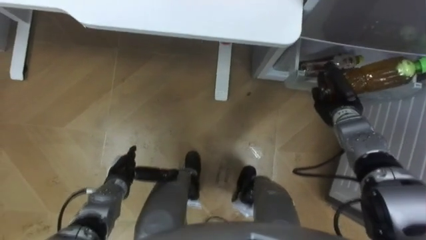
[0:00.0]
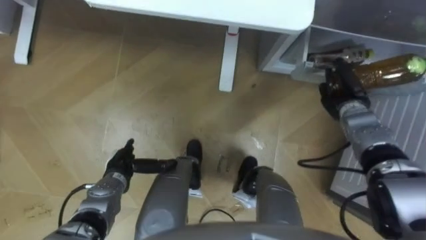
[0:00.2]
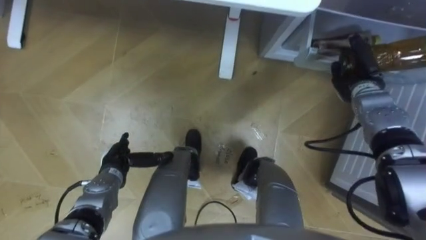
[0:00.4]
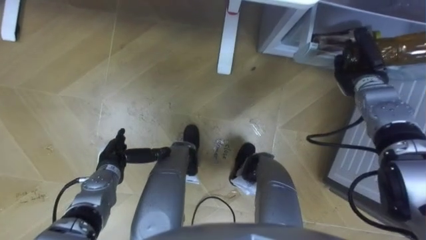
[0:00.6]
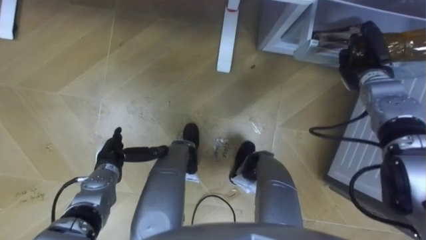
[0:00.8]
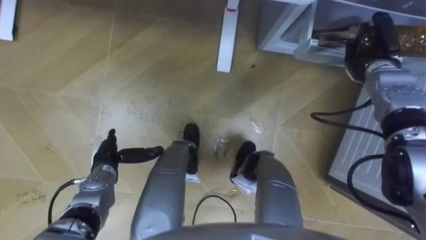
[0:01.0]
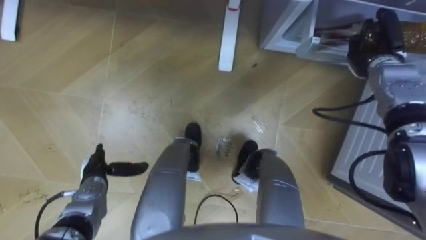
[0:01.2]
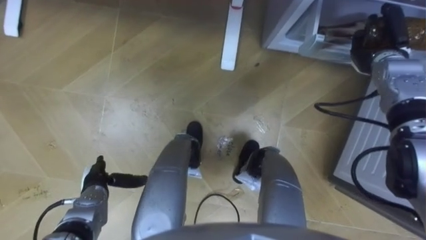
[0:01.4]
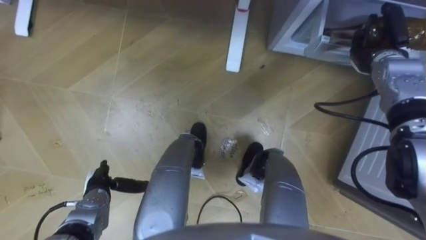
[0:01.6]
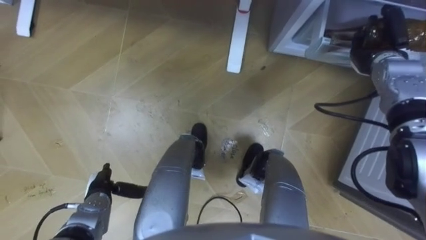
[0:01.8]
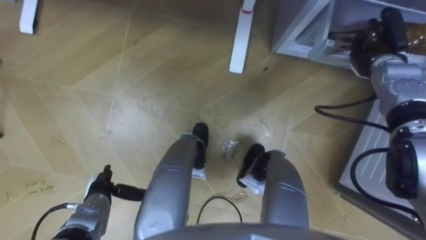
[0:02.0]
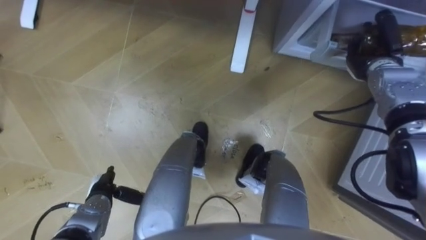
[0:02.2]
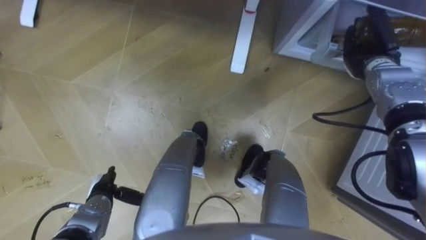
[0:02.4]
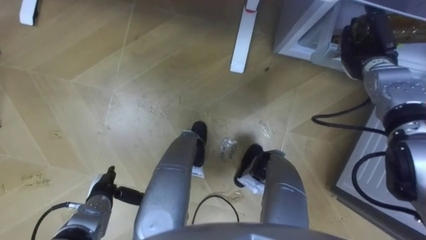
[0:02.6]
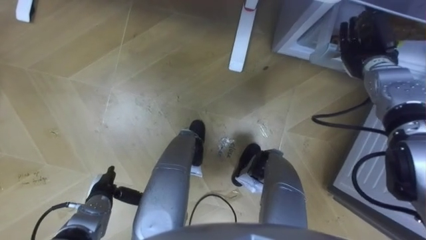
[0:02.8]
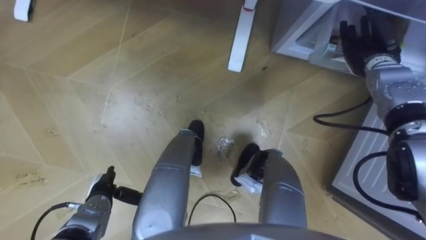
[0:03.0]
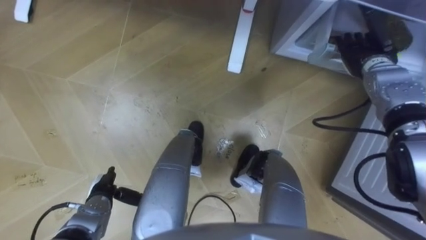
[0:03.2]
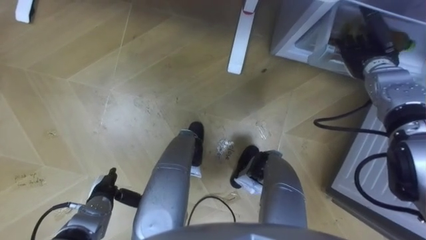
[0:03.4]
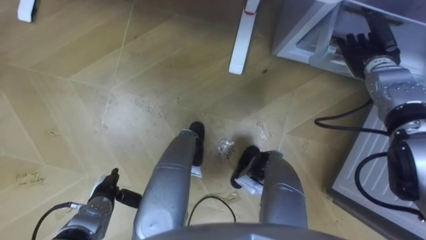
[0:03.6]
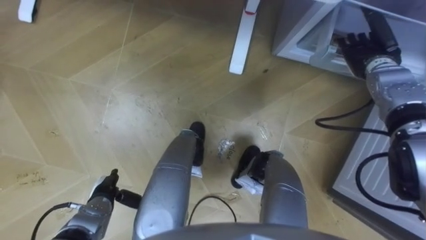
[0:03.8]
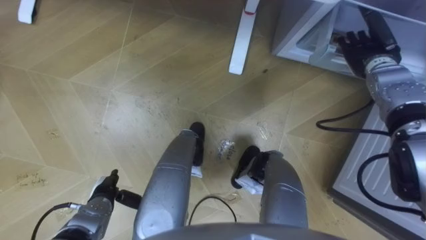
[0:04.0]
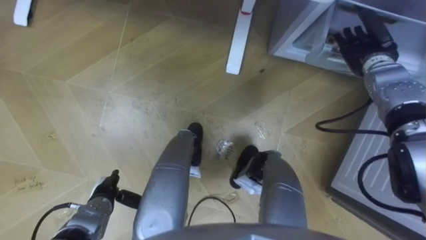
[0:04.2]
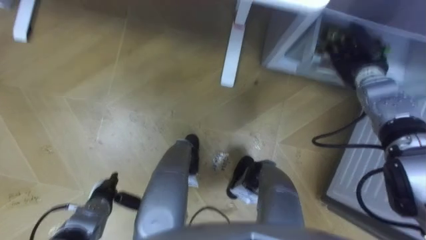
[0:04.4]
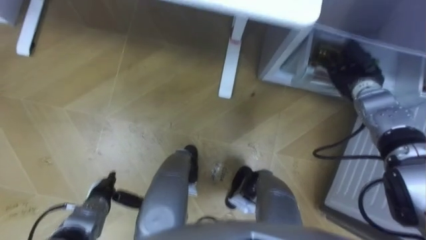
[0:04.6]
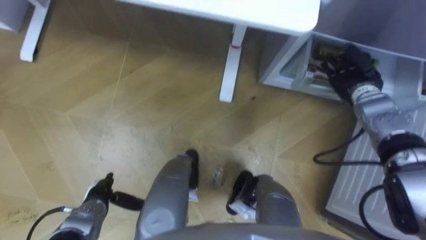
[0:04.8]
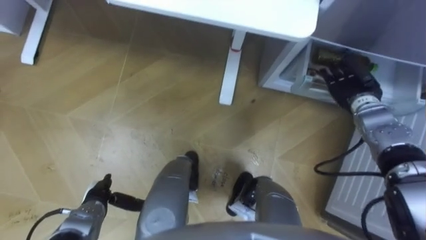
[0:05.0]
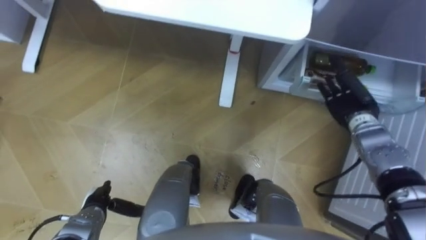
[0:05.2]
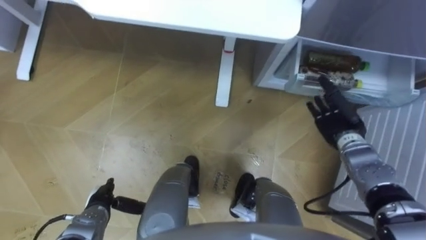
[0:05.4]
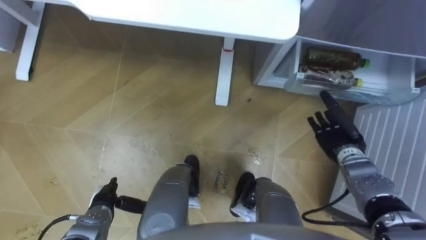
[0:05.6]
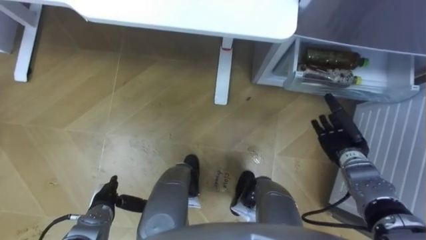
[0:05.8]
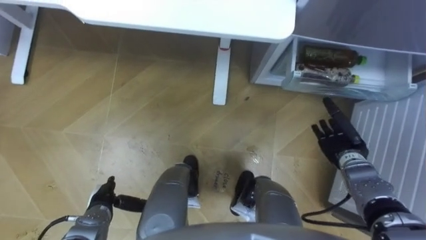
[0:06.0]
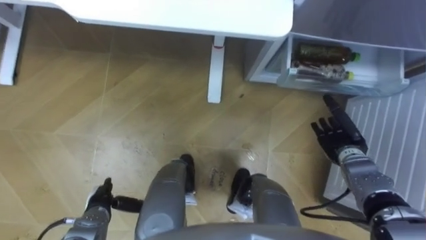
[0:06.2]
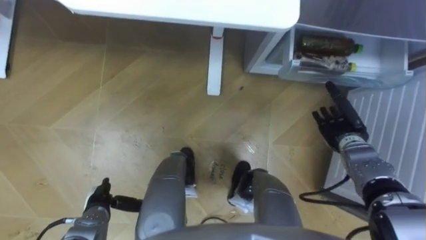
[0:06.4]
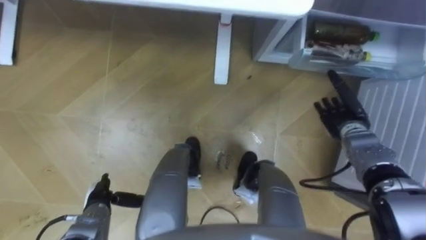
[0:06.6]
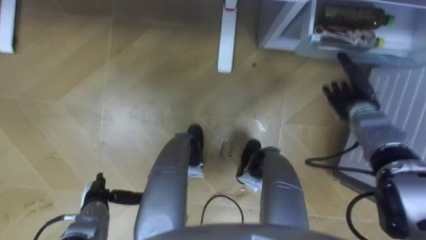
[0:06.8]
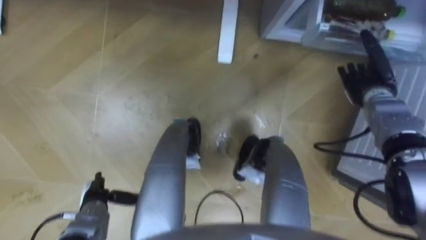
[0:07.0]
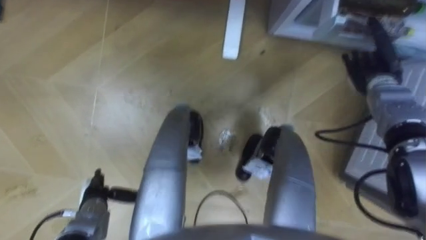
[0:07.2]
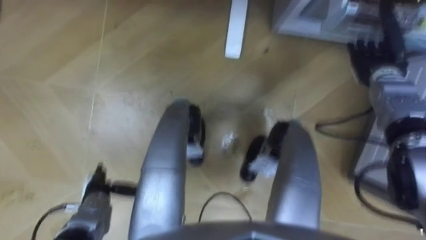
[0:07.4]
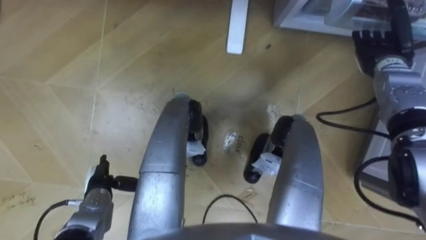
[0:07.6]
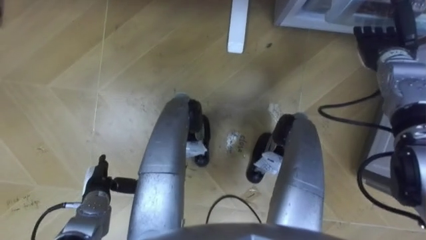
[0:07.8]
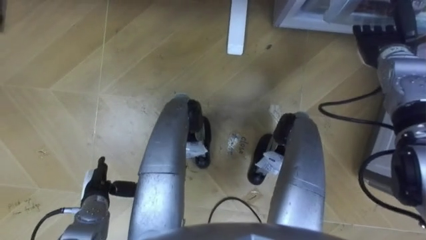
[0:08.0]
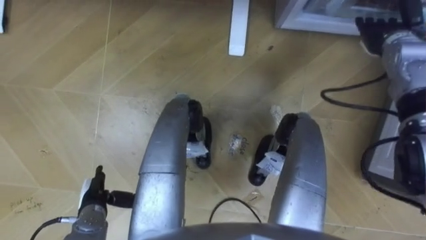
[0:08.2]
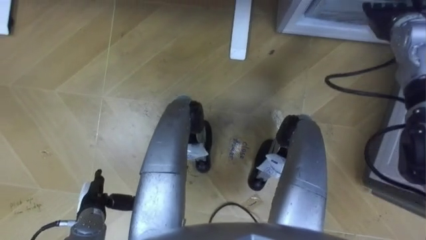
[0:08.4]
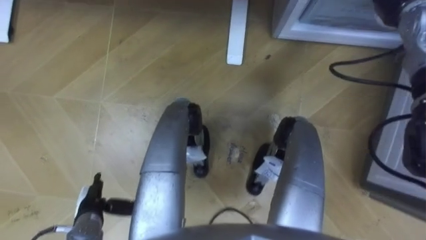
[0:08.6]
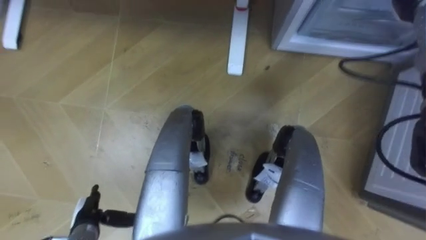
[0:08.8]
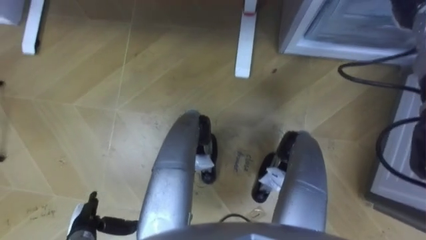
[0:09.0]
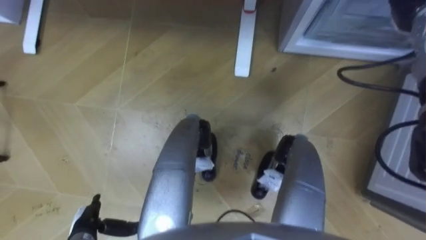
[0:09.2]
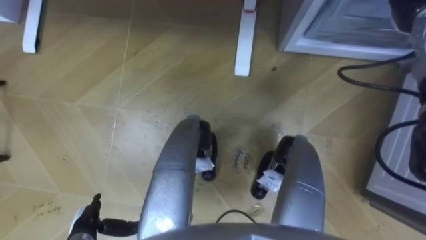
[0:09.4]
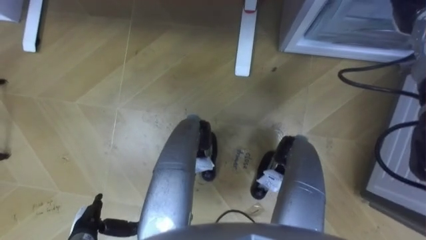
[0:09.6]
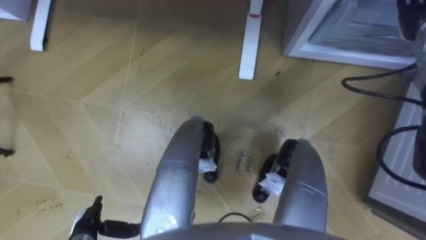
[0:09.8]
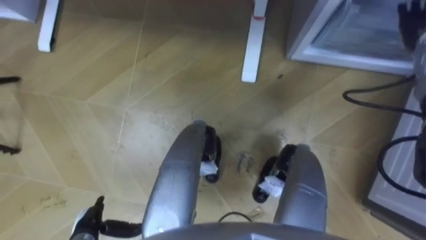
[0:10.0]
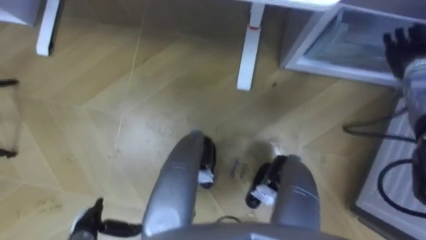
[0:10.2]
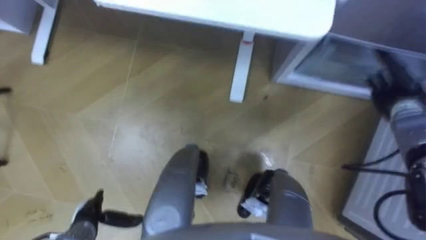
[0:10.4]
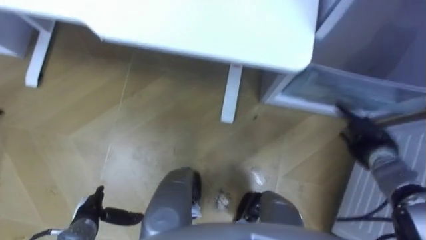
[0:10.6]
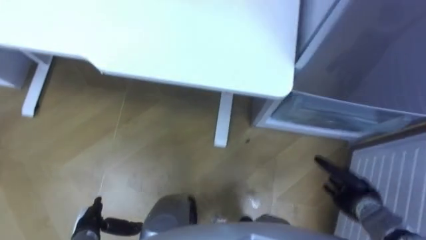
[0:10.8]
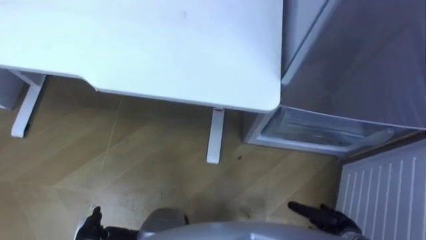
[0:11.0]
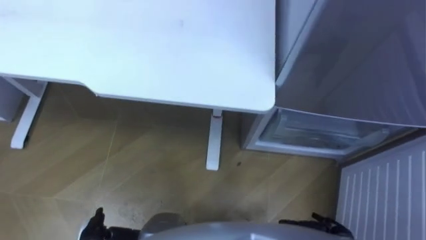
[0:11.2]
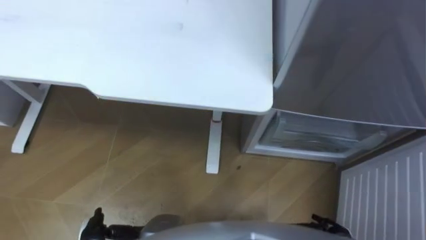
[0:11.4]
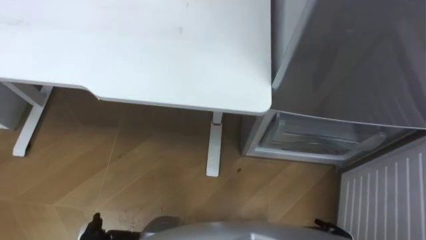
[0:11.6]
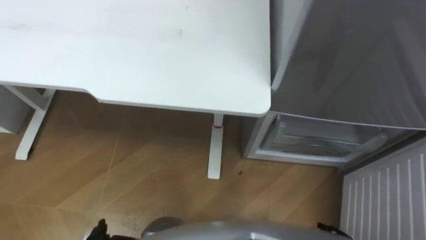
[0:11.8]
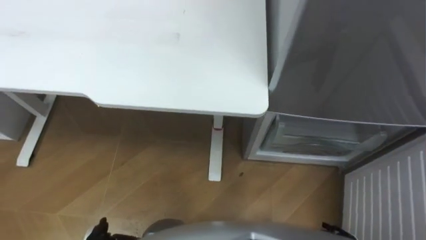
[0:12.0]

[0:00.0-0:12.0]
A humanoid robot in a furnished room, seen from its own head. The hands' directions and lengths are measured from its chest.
Task of the whole recording: Place the drink on the table on the bottom shelf of the refrigerator, then close the drawer and the refrigerator door.
0.0 to 1.6 s: The left hand shifts by about 5 cm; the right hand shifts about 15 cm upward, forward and to the right.
1.6 to 3.0 s: The right hand opens its fingers.
4.4 to 6.0 s: The right hand shifts roughly 20 cm backward and downward.
6.0 to 7.6 s: The right hand is displaced forward and upward by some 20 cm.
7.6 to 9.0 s: The left hand heads backward, covering roughly 10 cm.

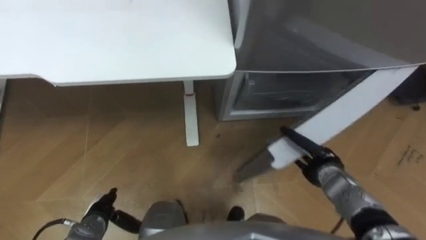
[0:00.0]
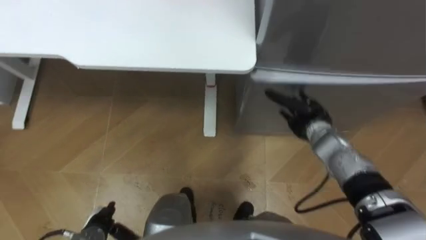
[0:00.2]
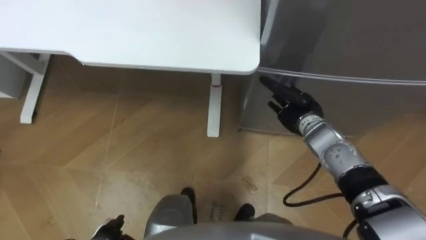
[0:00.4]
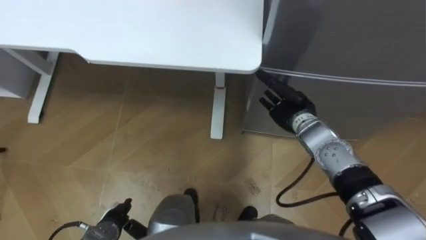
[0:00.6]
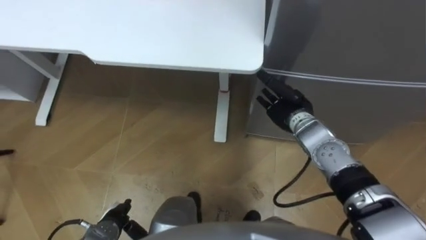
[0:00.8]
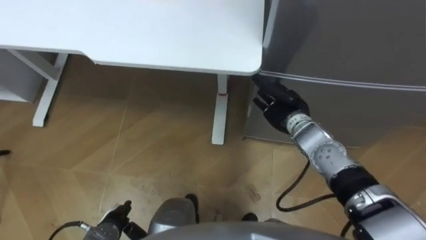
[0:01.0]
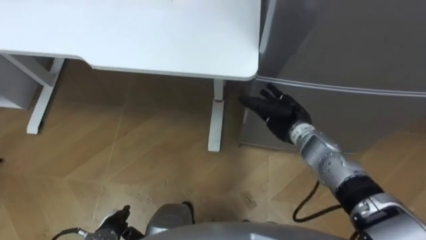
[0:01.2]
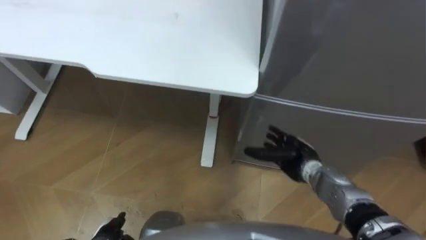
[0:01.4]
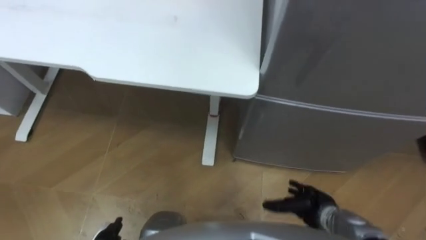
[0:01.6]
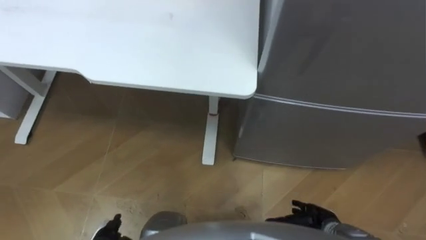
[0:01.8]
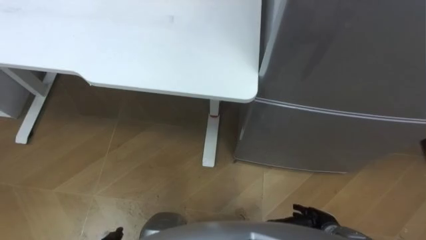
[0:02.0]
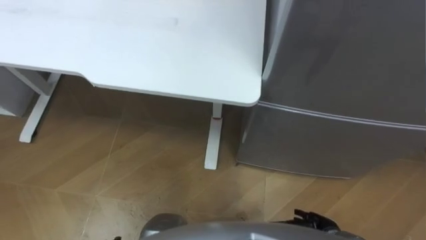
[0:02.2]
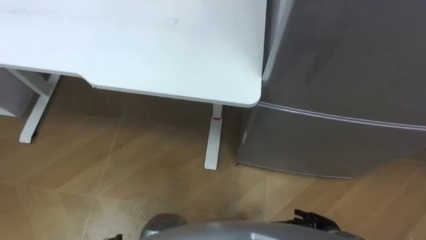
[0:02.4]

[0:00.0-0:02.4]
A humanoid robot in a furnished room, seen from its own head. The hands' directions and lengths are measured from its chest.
Task of the whole recording: Place the drink on the table on the bottom shelf of the refrigerator, then close the drawer and the refrigerator door.
0.0 to 1.2 s: The right hand heads forward, to the left and upward, covering roughly 15 cm.
1.2 to 2.4 s: The right hand travels backward and downward by about 25 cm.

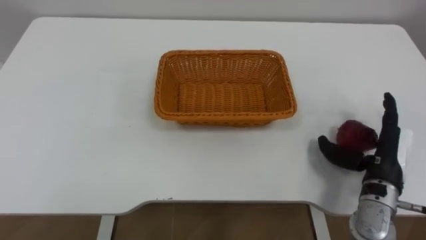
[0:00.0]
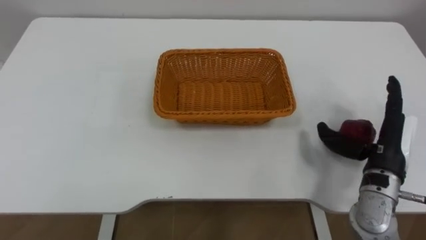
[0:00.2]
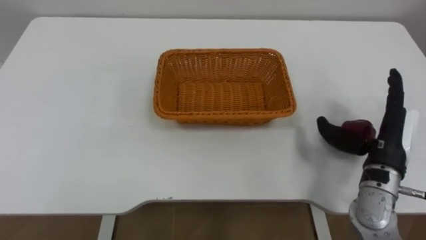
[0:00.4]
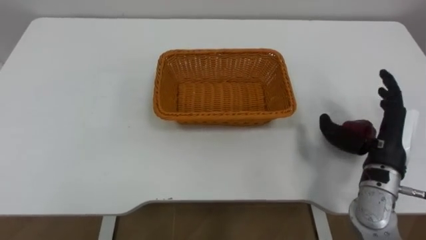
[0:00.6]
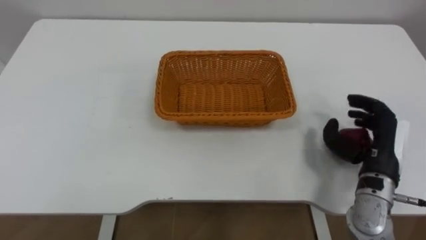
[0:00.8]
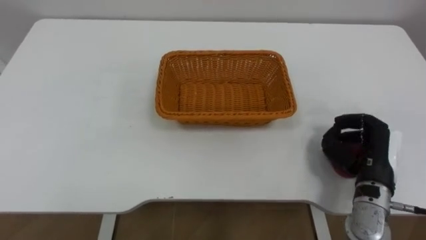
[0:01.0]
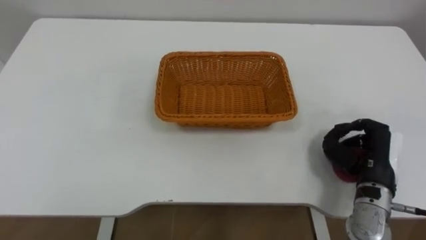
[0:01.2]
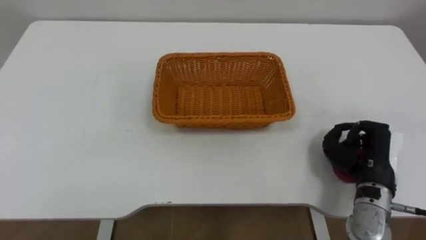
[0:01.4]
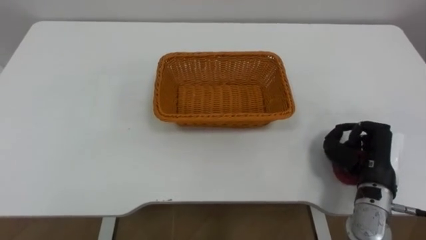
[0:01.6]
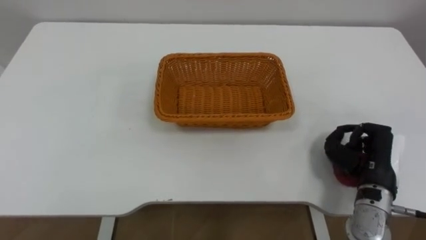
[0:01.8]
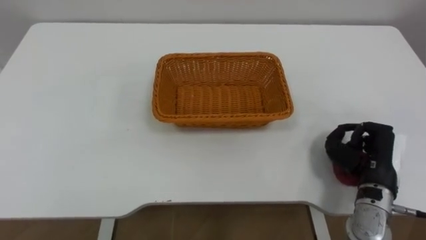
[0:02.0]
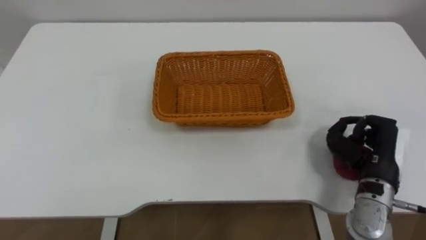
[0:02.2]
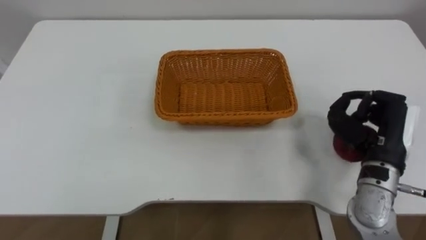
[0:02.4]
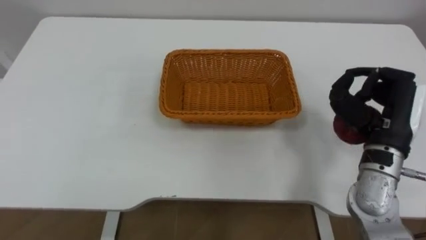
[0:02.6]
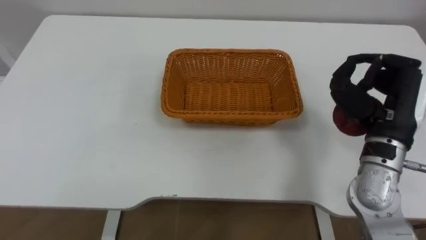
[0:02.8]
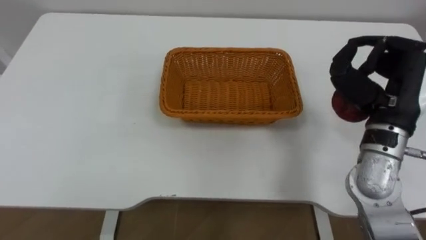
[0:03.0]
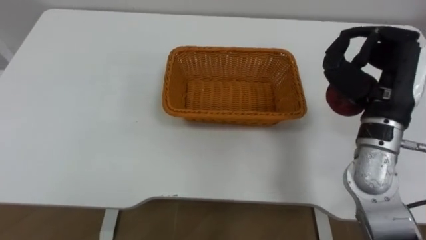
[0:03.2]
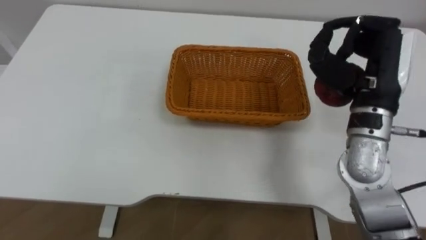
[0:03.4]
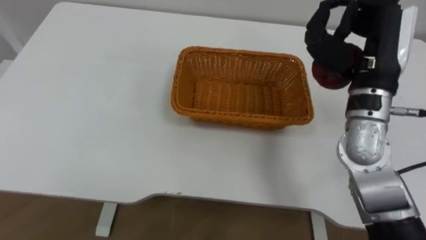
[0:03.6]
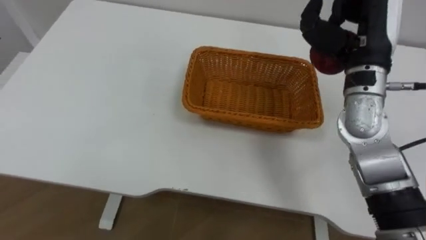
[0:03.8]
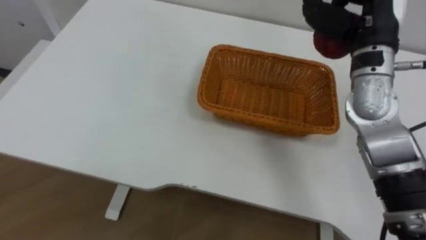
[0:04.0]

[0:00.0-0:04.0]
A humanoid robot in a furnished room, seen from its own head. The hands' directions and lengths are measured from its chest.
Task of the whole recording: Pick the apple and place it in the box.
0.0 to 1.4 s: The right hand closes its fingers.
1.4 to 2.6 s: The right hand is displaced upward by roughly 10 cm.
2.6 to 4.0 s: The right hand travels upward, forward and to the left by roughly 15 cm.
